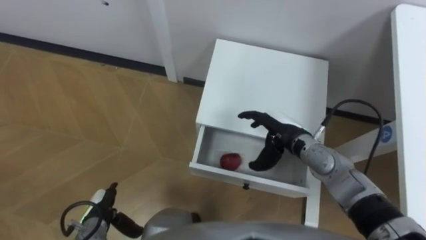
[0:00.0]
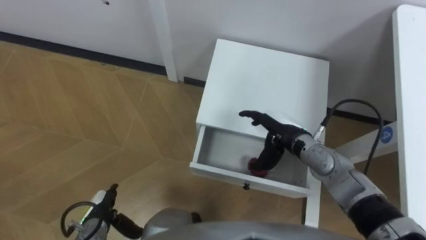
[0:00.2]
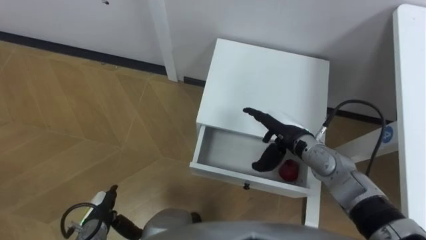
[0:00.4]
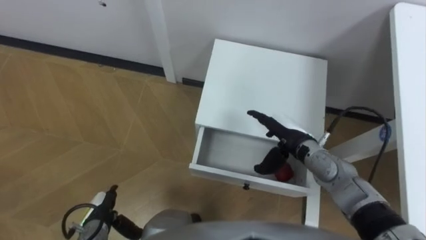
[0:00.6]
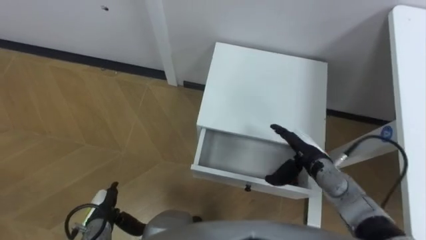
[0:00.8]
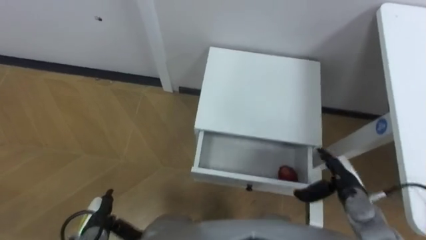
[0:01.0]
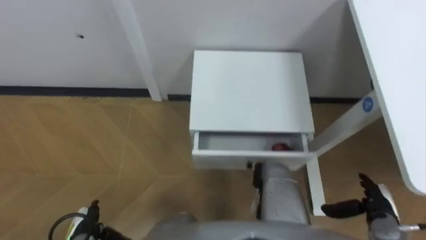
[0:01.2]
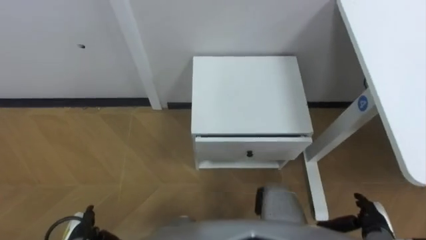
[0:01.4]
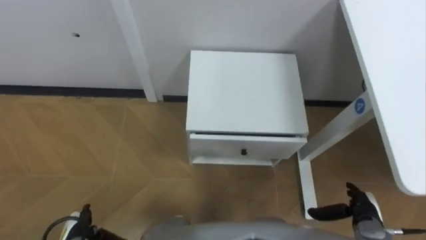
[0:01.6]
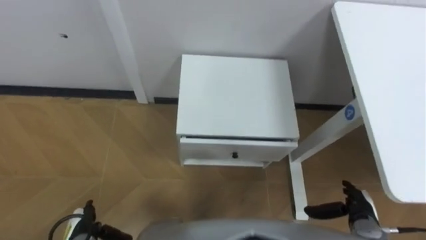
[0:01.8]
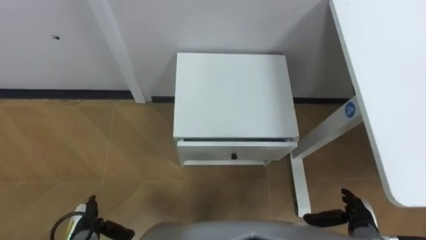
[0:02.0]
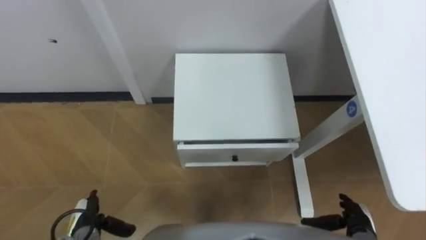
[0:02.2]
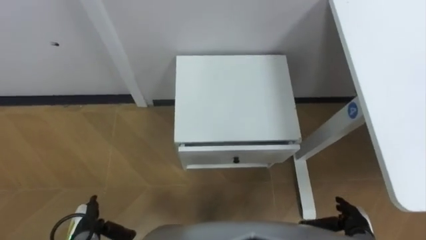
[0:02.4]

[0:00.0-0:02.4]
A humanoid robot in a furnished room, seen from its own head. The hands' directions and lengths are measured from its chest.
Task of the whole recording: Pick up the apple from the table, put it in the drawer, and close the drawer with leg.
0.0 to 1.2 s: The right hand is displaced to the right, backward and downward by approximately 25 cm.
1.2 to 2.4 s: The right hand ends up approximately 5 cm from where it was.

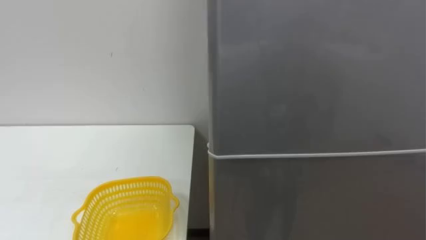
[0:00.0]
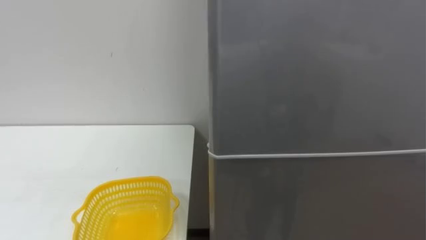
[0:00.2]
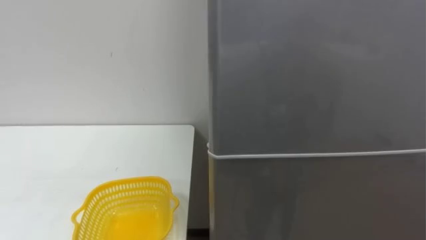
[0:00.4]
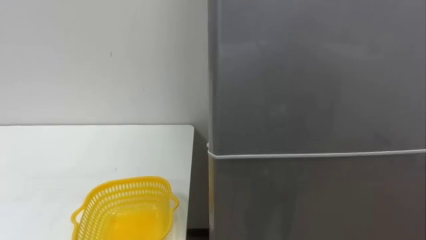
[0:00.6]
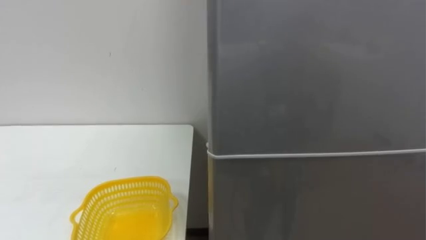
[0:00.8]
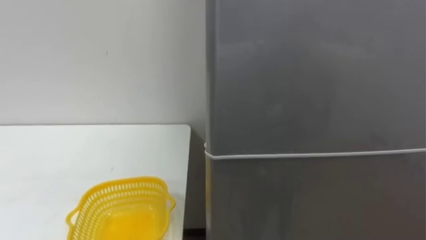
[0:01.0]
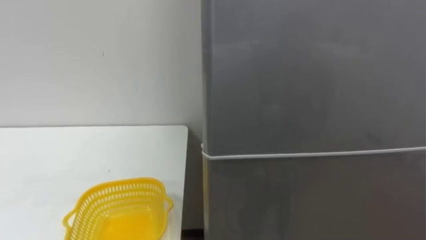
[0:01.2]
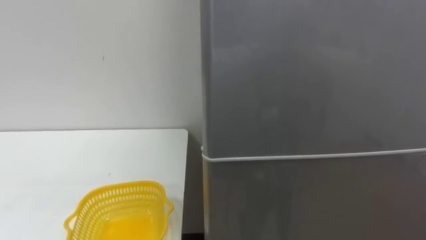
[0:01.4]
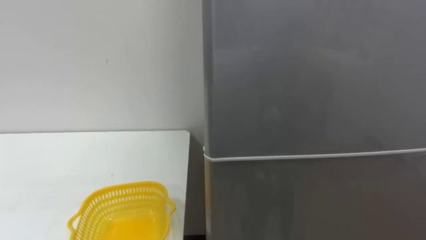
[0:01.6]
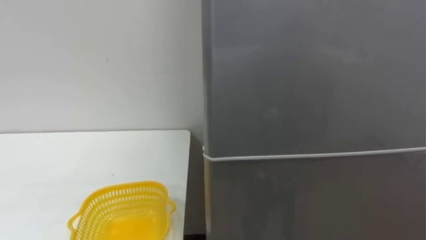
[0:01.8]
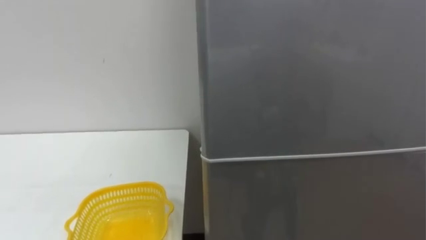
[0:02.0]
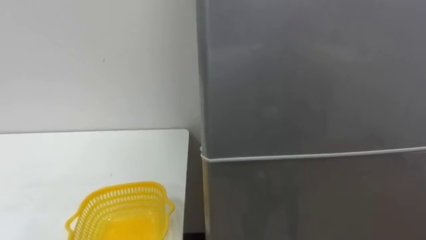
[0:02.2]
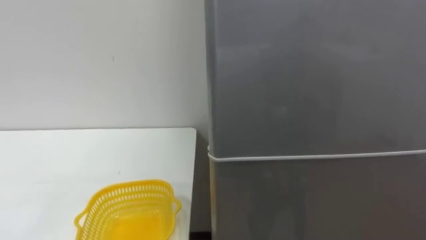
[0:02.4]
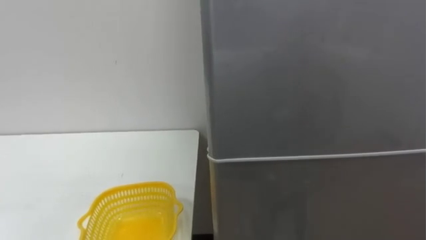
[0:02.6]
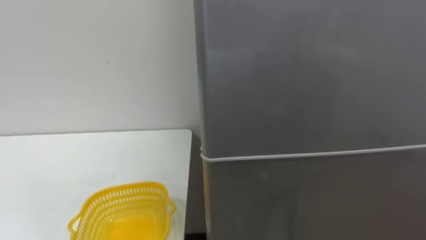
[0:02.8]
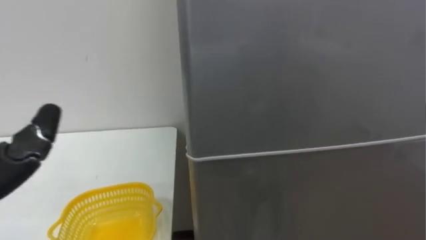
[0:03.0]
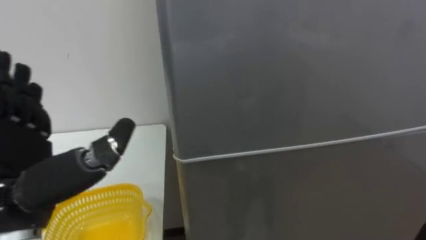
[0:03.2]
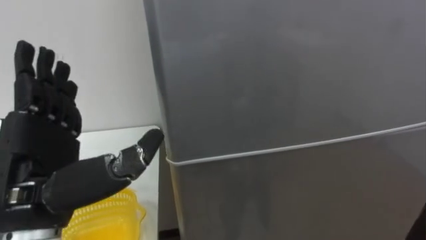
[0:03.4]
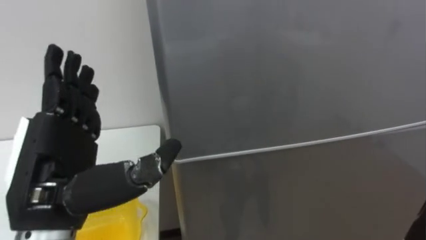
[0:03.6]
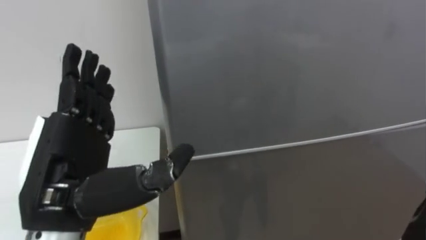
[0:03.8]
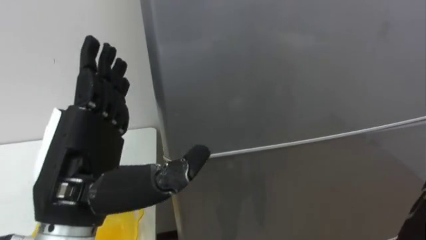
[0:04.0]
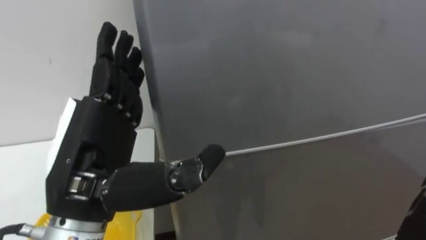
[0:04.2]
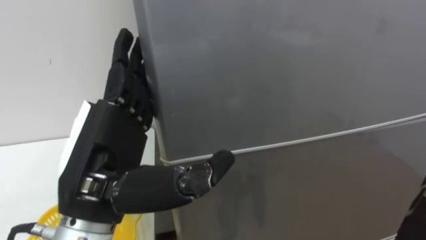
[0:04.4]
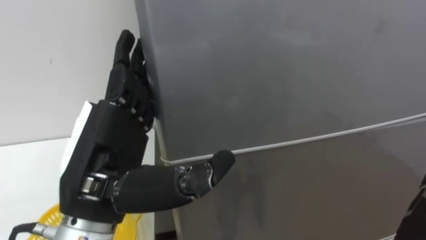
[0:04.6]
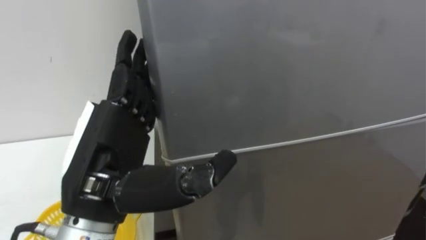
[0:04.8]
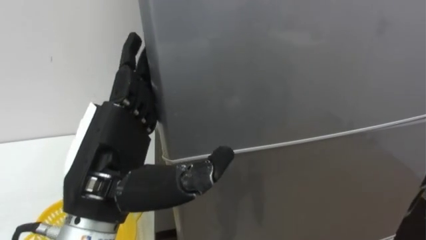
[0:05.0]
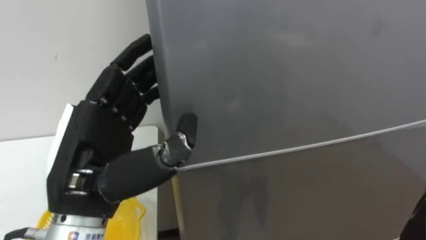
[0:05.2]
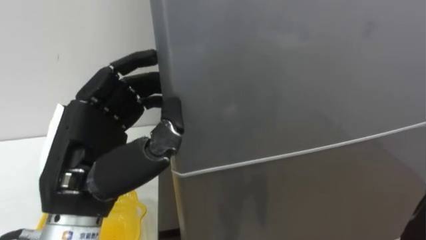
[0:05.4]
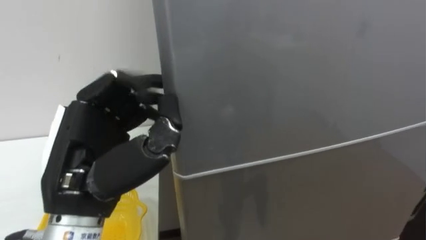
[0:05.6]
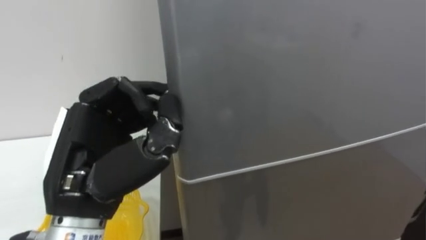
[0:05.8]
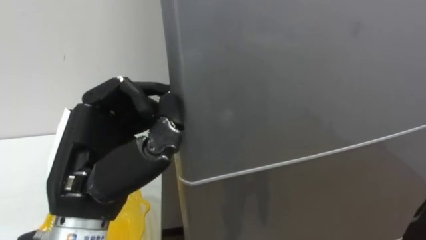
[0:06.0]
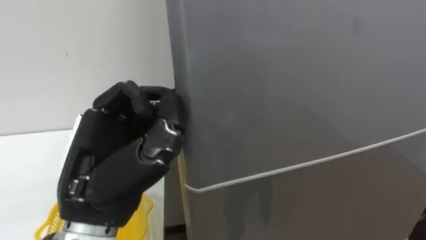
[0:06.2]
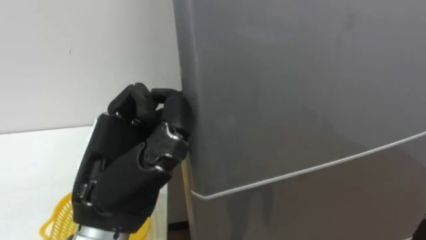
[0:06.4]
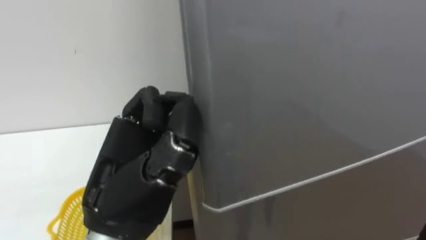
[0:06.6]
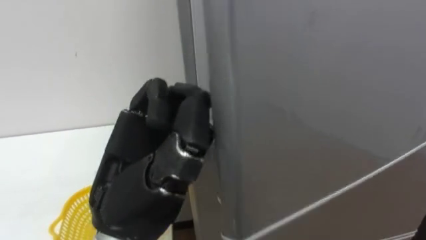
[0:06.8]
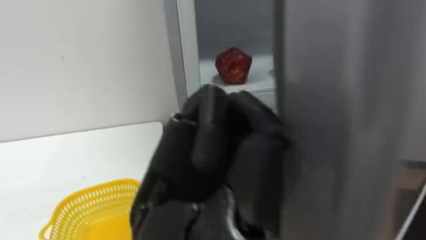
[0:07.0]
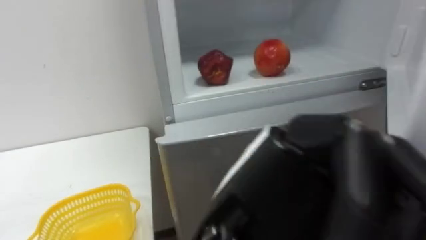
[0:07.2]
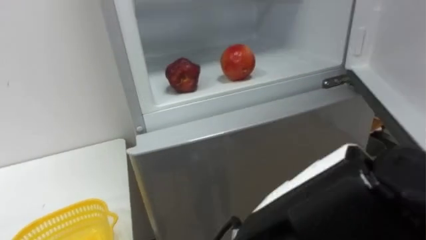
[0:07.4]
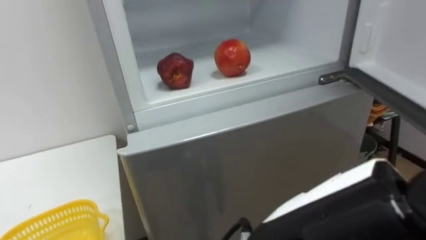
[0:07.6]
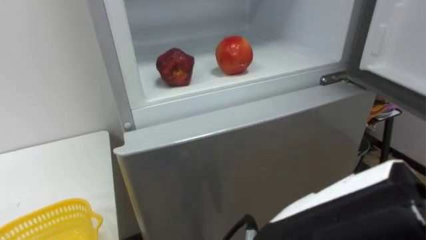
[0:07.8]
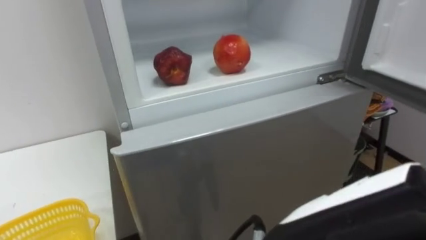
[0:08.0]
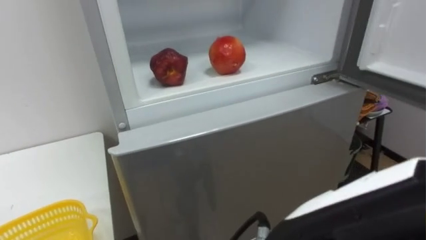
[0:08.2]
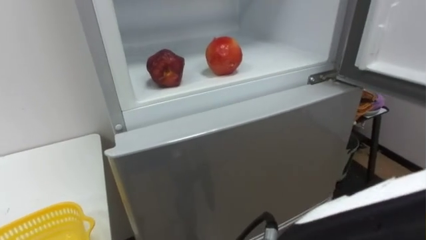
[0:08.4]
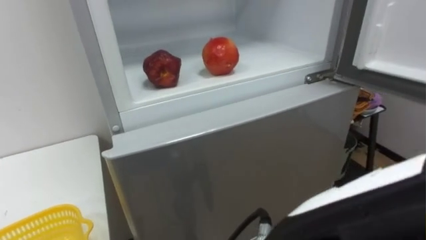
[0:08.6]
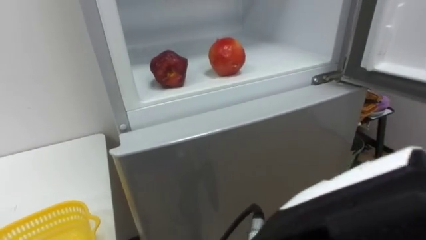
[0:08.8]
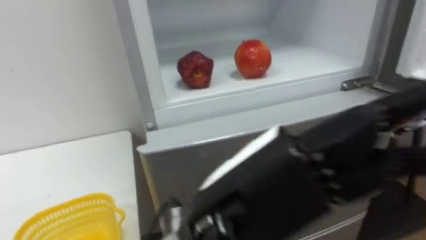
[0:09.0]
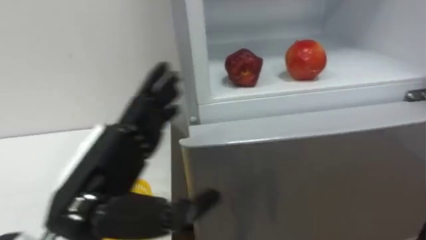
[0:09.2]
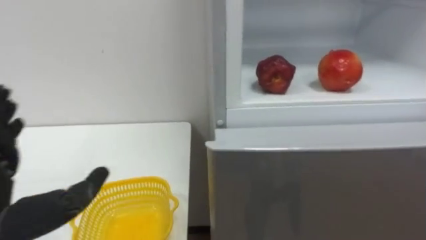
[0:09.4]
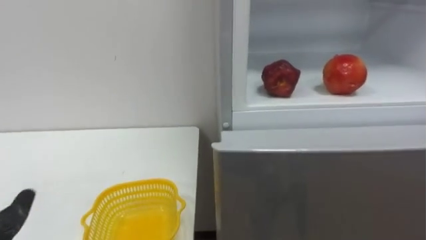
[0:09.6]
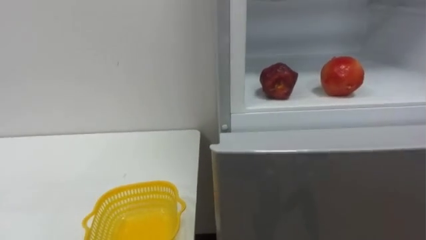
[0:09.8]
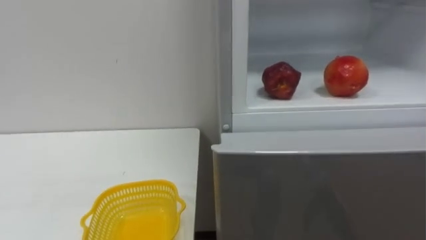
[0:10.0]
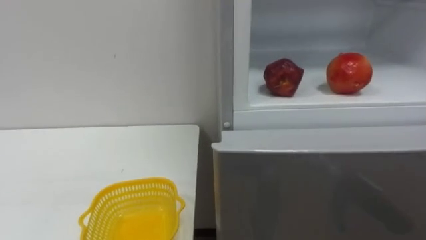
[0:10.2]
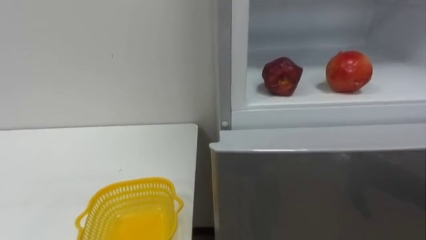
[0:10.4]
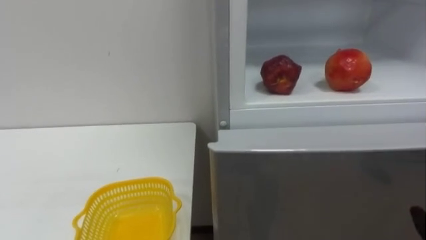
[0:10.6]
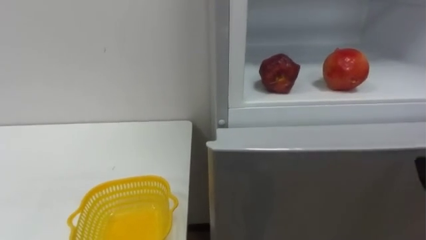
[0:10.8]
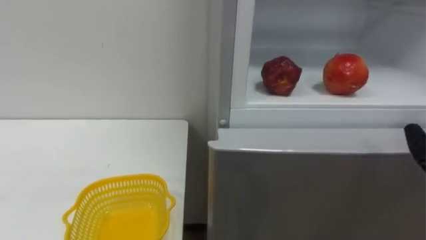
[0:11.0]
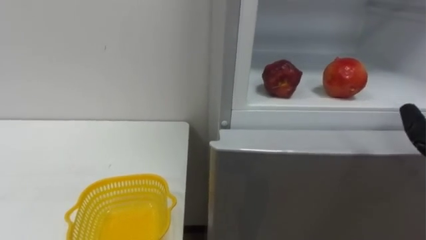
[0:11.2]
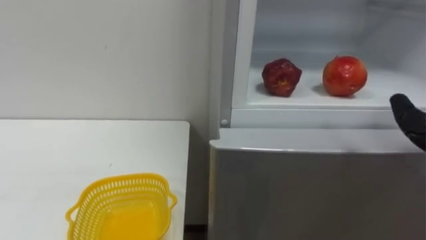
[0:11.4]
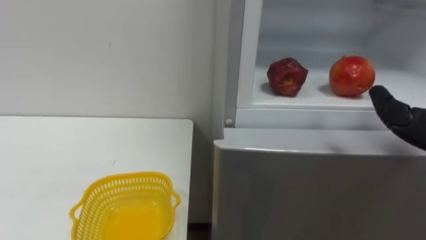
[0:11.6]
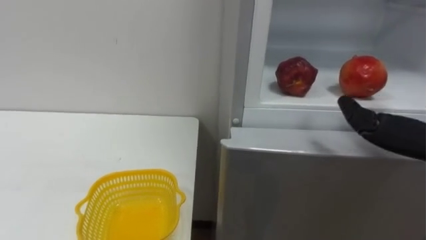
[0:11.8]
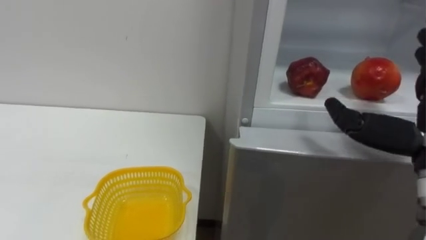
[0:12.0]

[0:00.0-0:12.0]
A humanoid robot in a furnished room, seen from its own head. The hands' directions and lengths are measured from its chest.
Task of the whole recording: Open the refrigerator door, take out the apple and the pomegranate, place them in the fruit basket on the left, and close the refrigerator door.
4.4 to 6.0 s: The left hand closes its fingers.
6.0 to 7.6 s: The left hand moves to the right and backward, approximately 20 cm.

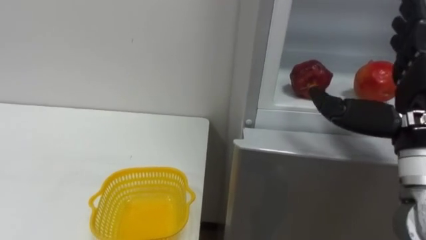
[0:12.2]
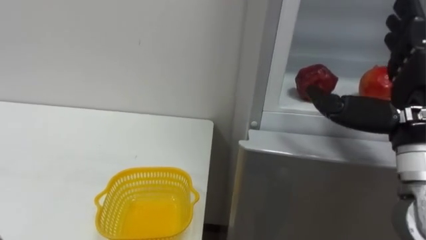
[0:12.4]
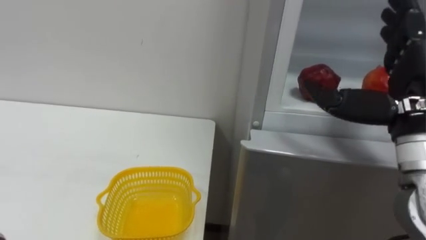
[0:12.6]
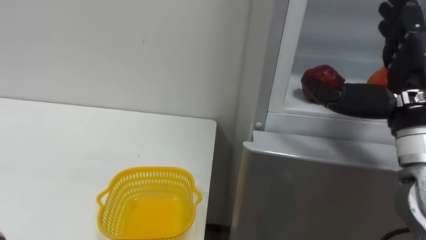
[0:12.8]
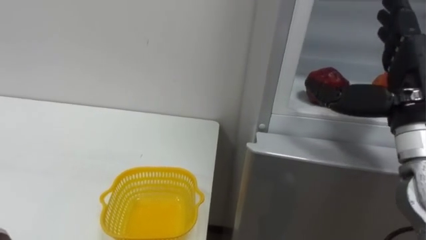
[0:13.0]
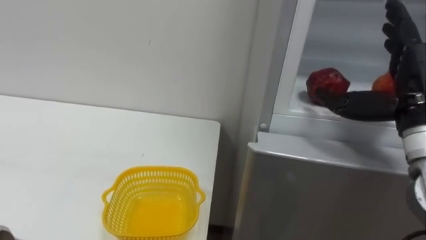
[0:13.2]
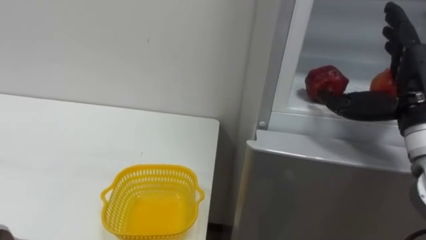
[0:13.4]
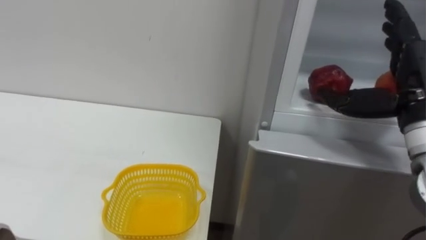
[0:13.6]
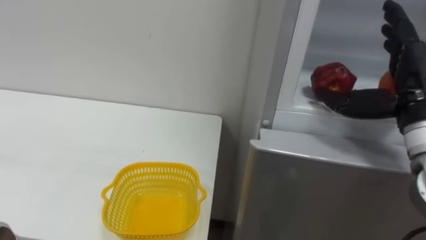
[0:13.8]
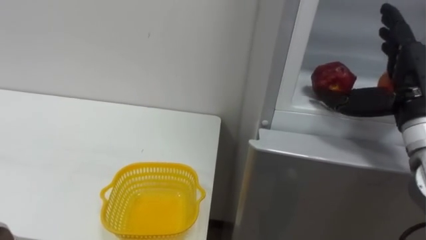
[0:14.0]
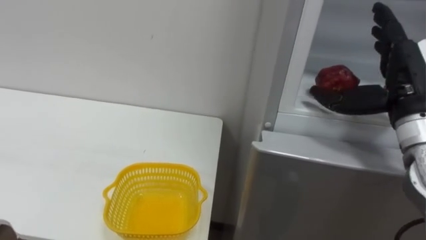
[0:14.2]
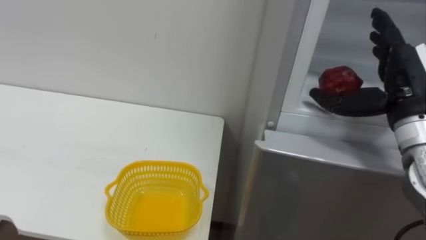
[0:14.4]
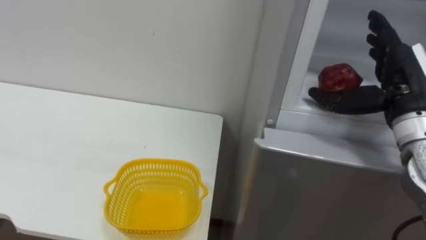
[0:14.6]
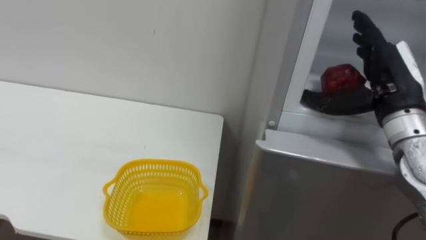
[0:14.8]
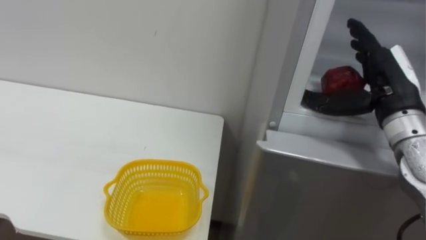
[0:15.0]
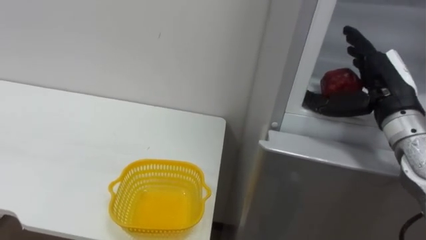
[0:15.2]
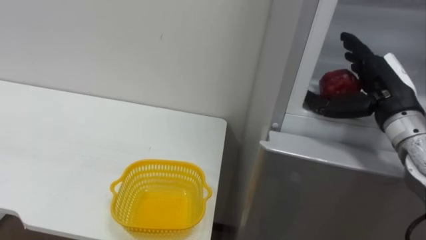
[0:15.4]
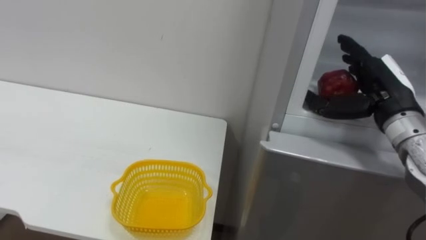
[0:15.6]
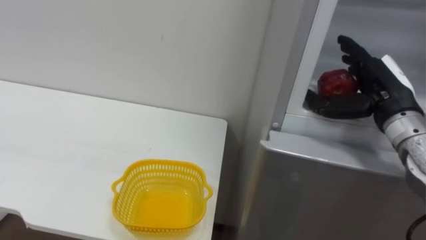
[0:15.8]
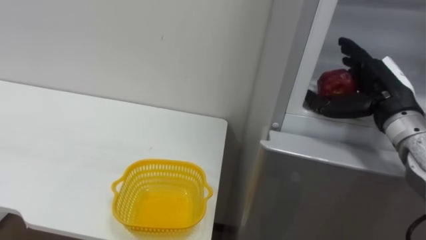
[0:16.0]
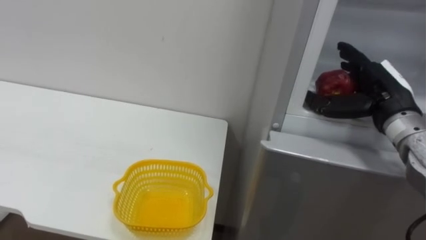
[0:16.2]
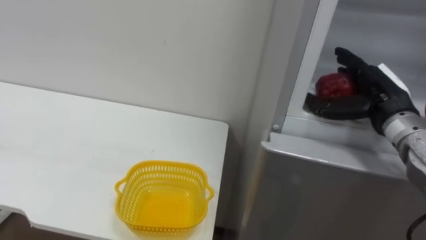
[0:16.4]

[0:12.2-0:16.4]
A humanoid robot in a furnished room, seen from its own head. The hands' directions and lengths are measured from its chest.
Task of the whole recording: Open the refrigerator door, take out the apple and the pomegranate, place them in the fruit basket on the left, and close the refrigerator door.
12.2 to 13.6 s: The right hand shifts about 5 cm forward.
